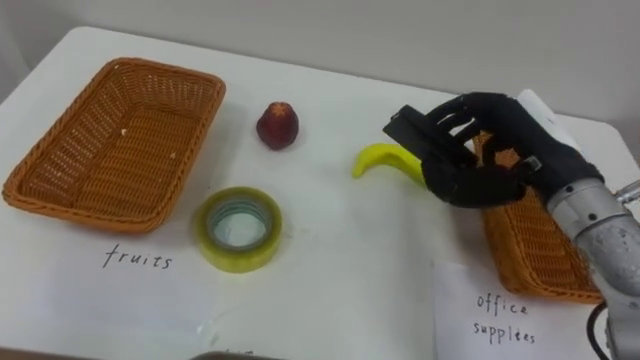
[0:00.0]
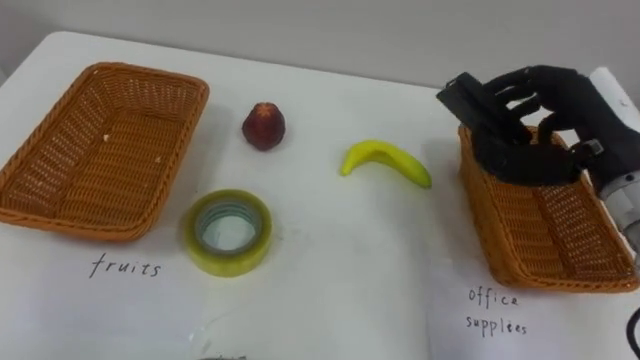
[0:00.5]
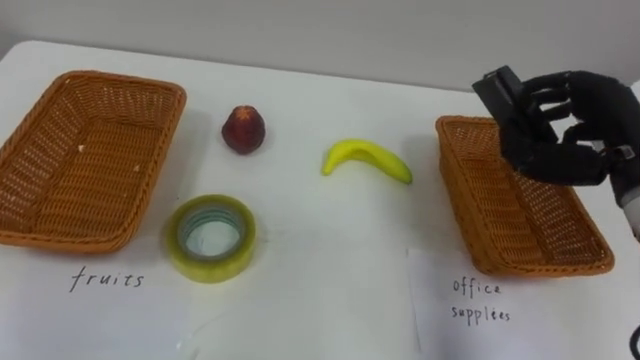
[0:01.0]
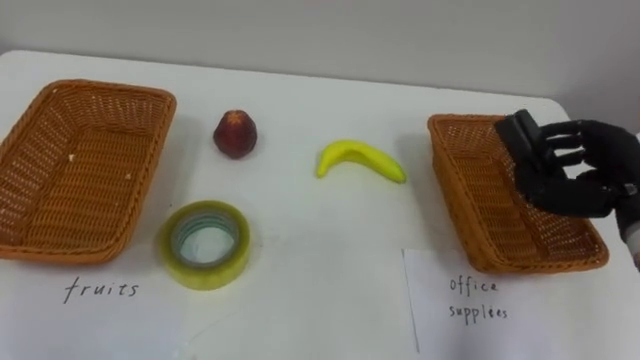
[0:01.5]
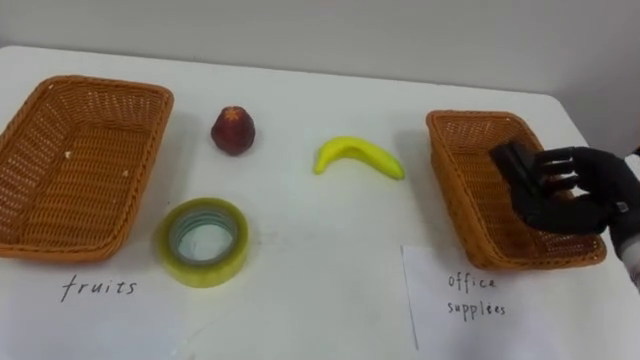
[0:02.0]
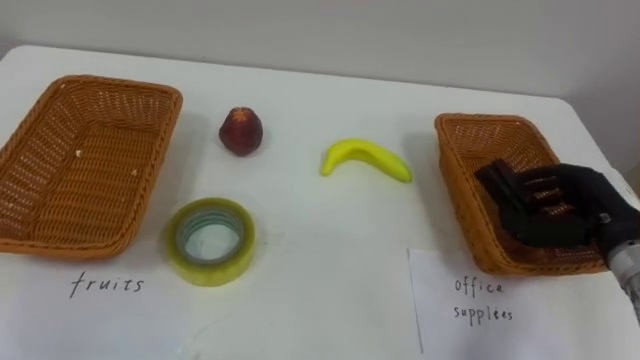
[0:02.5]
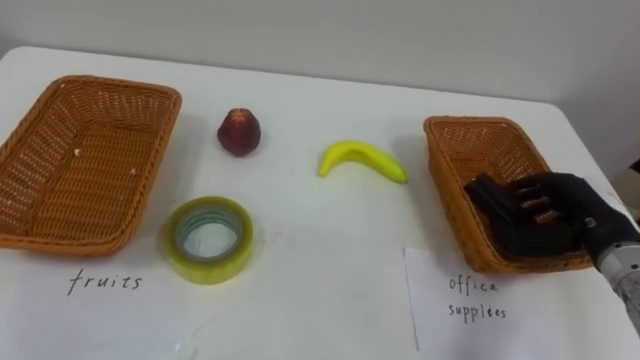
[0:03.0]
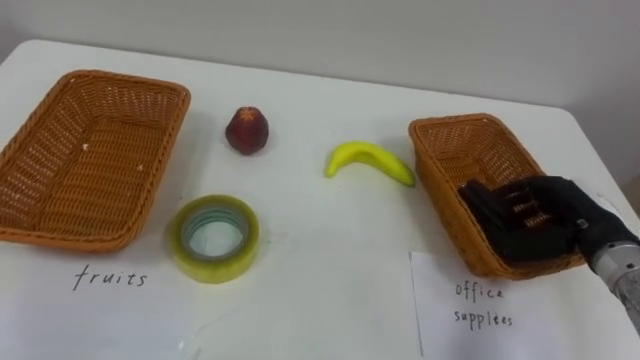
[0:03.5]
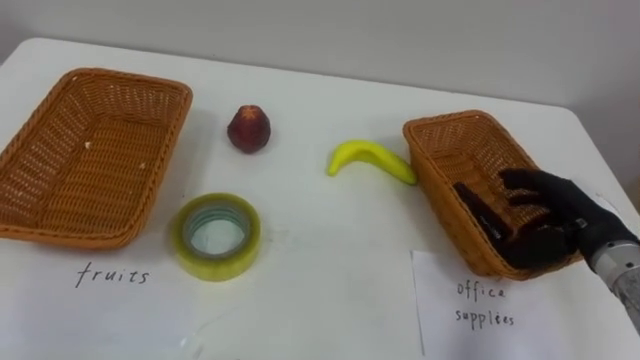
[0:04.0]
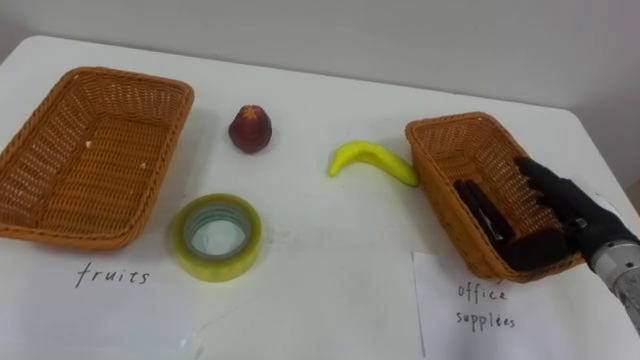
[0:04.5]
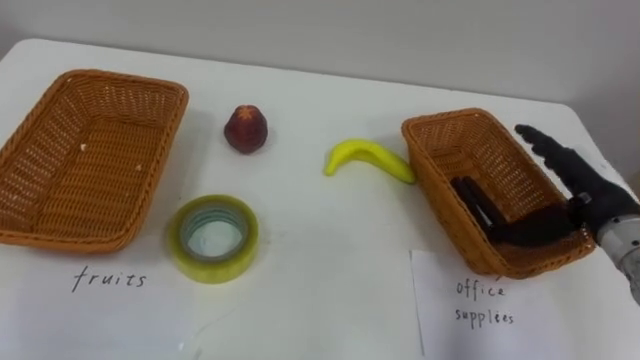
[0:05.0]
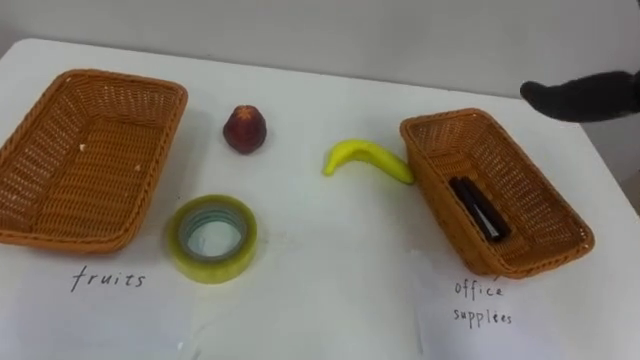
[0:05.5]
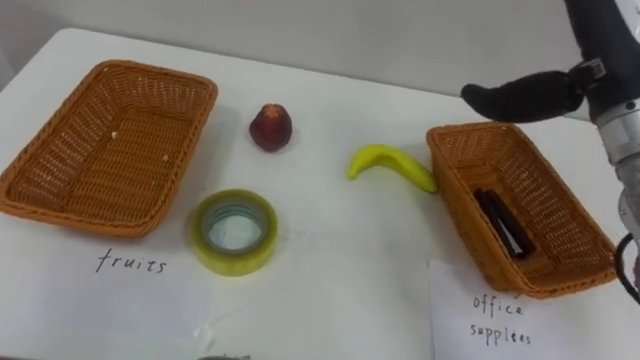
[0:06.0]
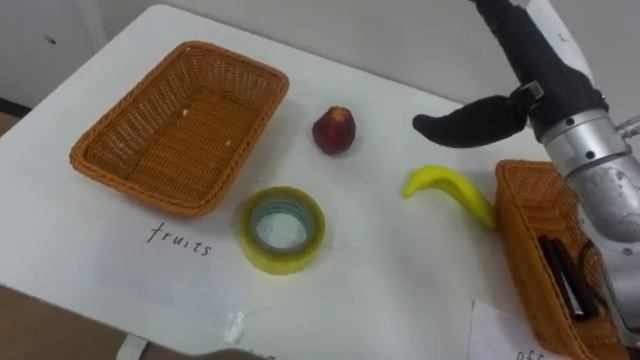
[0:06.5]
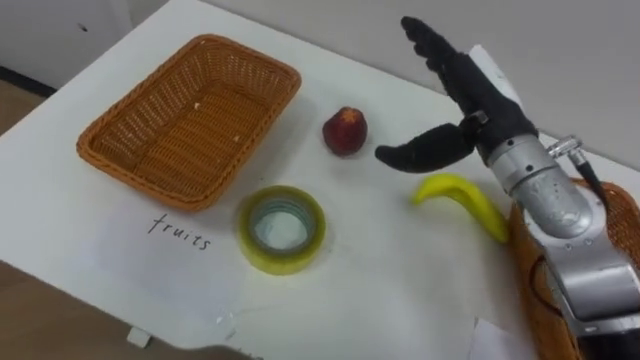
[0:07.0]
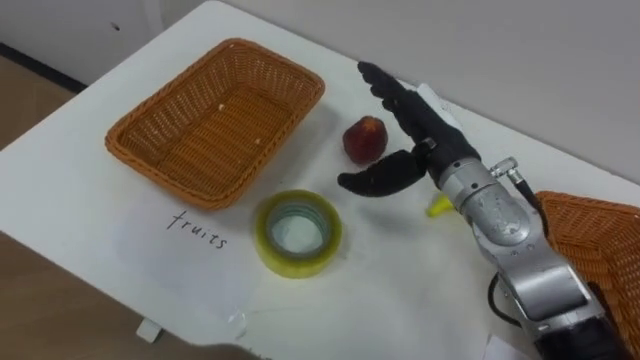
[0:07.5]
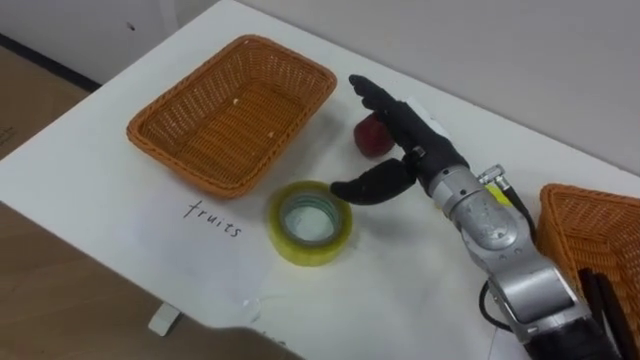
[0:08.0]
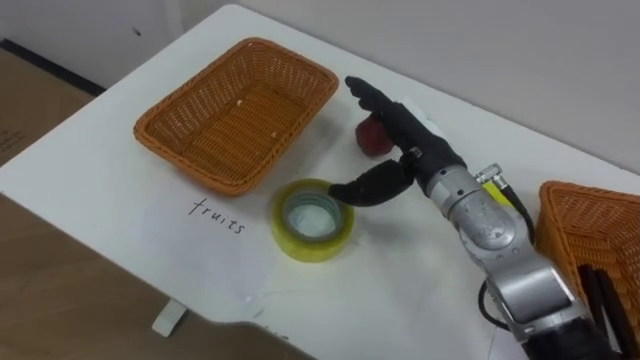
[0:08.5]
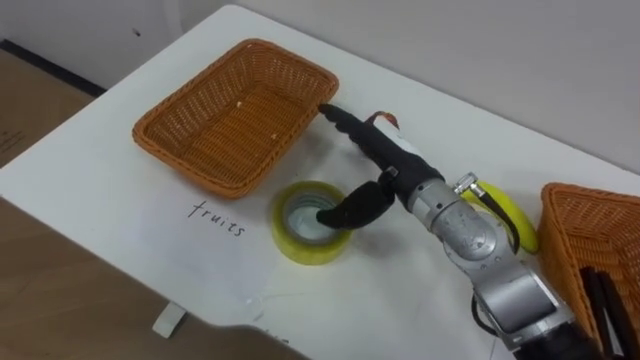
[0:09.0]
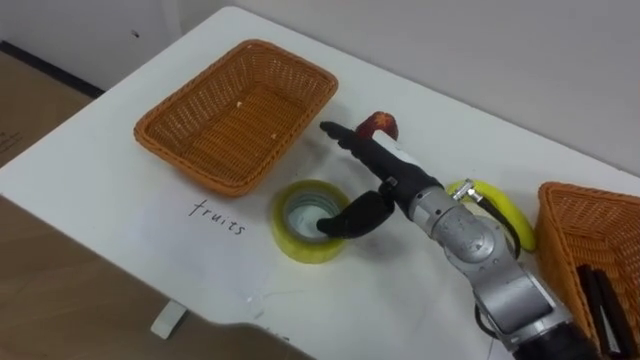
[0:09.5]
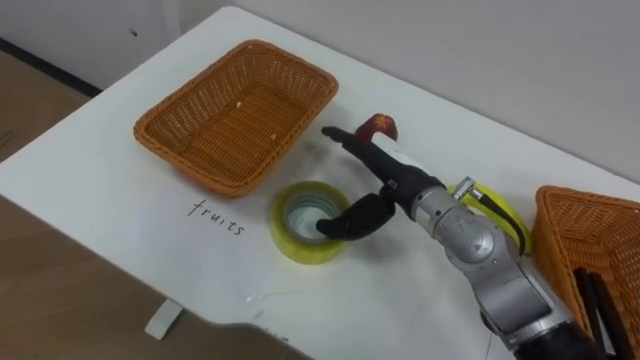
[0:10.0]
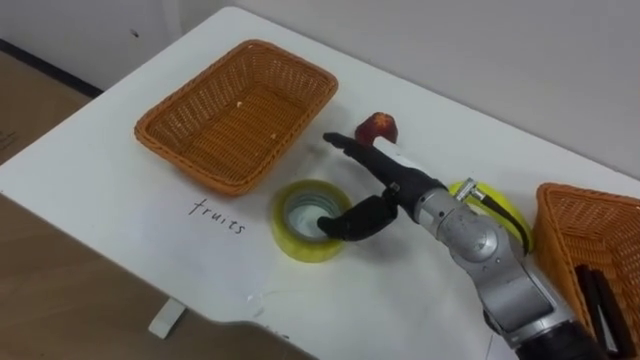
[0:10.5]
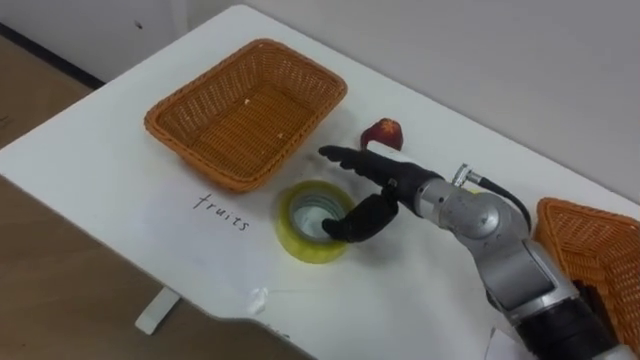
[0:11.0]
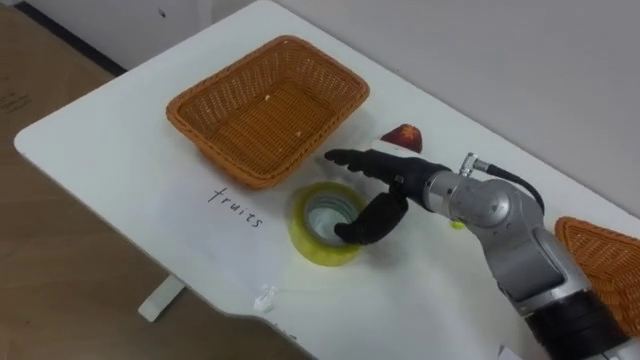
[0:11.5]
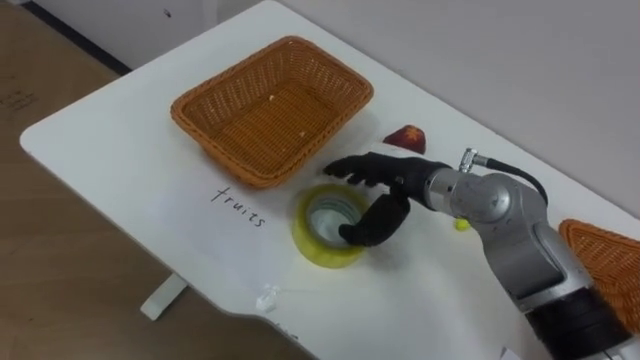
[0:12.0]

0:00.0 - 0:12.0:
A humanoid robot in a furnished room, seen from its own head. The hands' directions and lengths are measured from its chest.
Task of the whole recording: Separate the items on the table and place them into the two baskets.
0:00.0 - 0:02.0: The right hand shifts roughly 15 cm to the right and downward.
0:02.0 - 0:04.0: The right hand opens its fingers.
0:06.0 - 0:08.0: The right hand shifts about 20 cm downward and to the left.

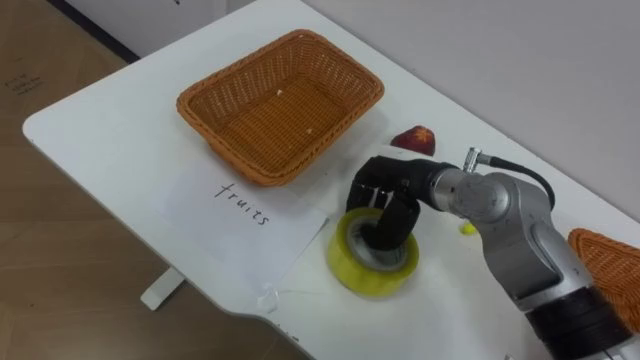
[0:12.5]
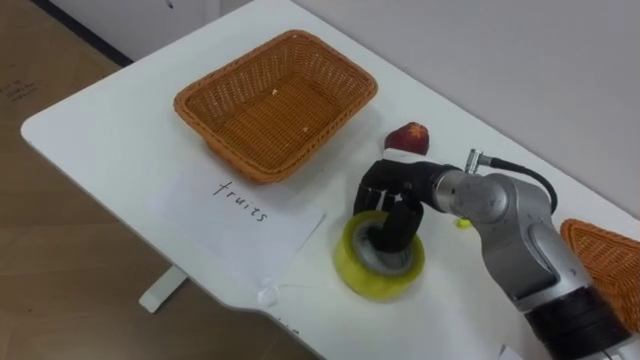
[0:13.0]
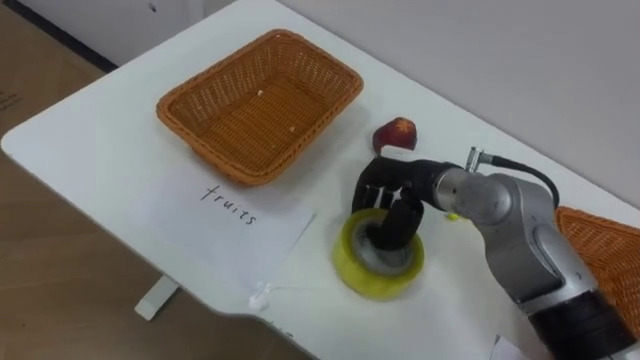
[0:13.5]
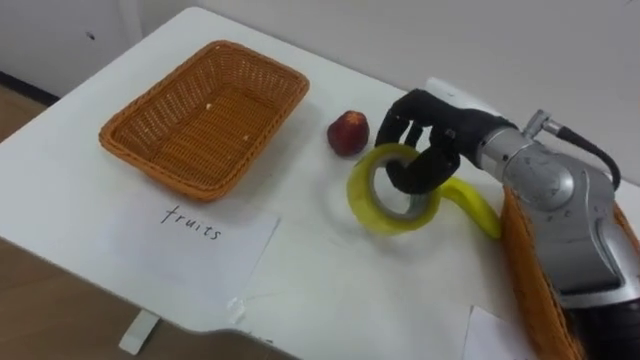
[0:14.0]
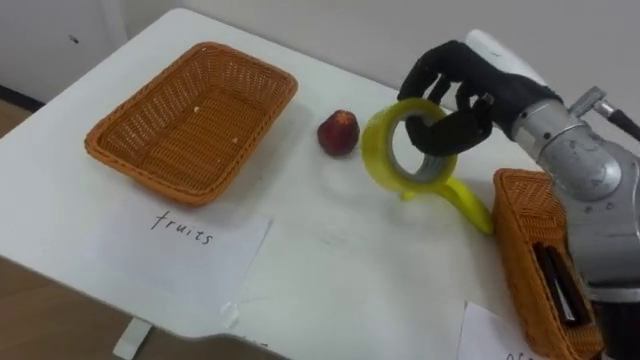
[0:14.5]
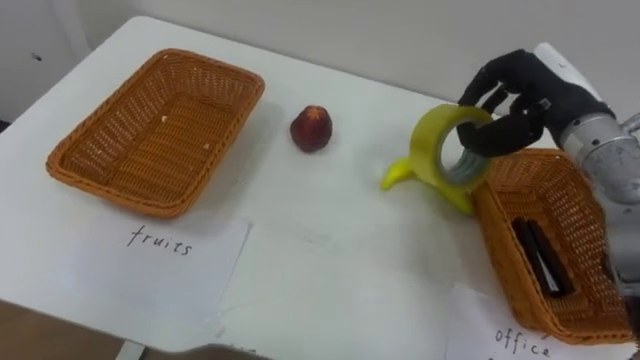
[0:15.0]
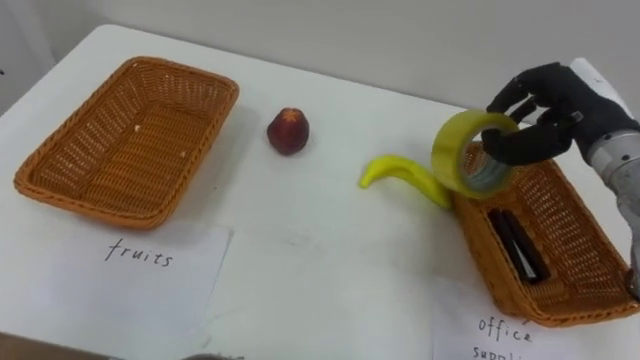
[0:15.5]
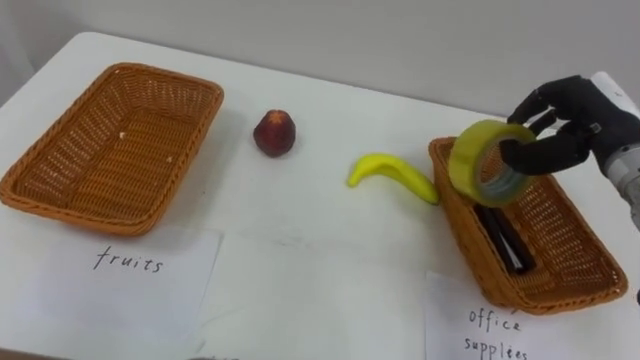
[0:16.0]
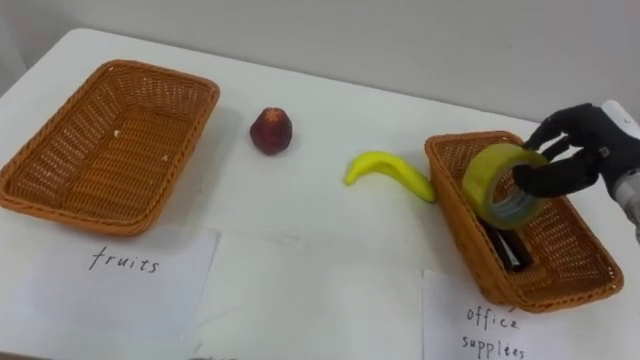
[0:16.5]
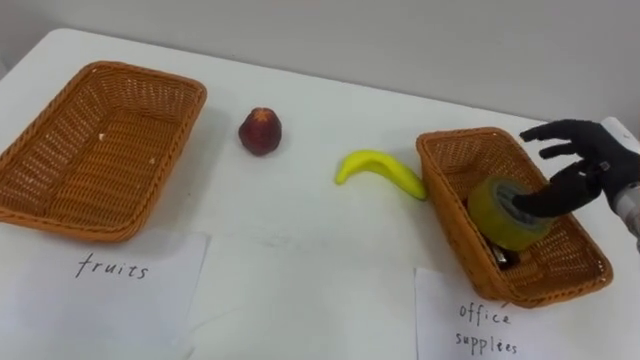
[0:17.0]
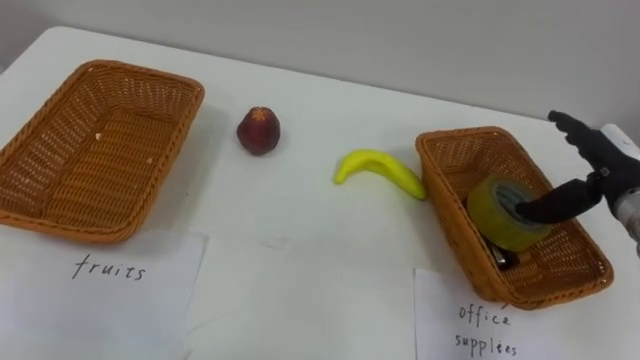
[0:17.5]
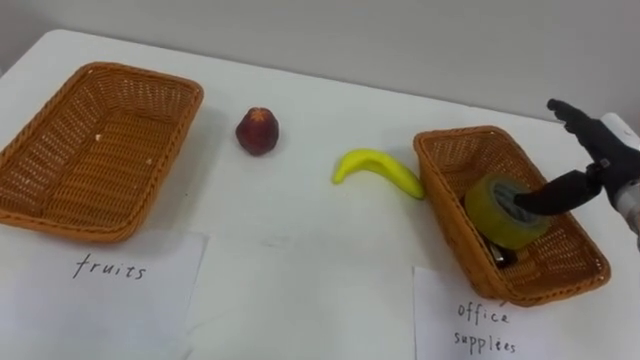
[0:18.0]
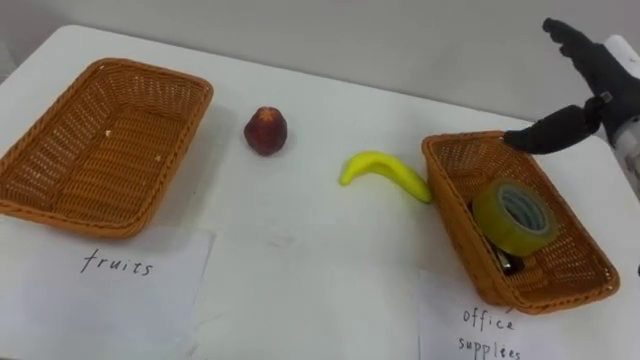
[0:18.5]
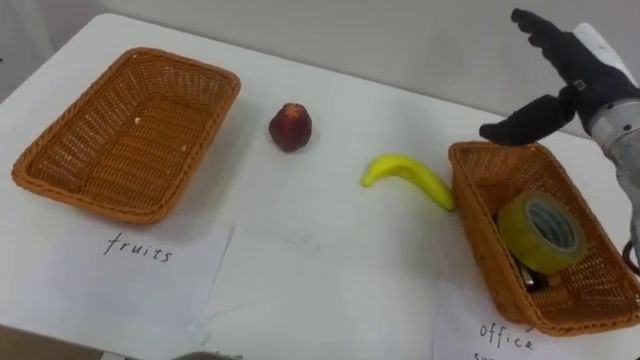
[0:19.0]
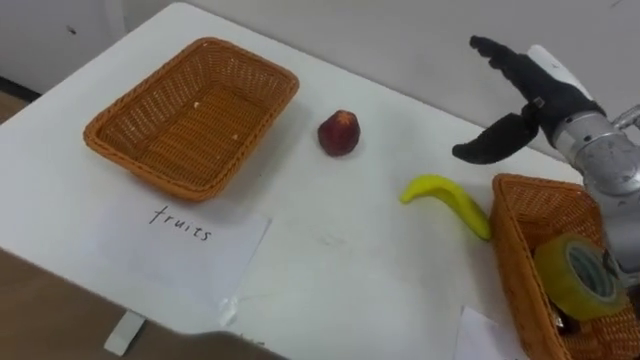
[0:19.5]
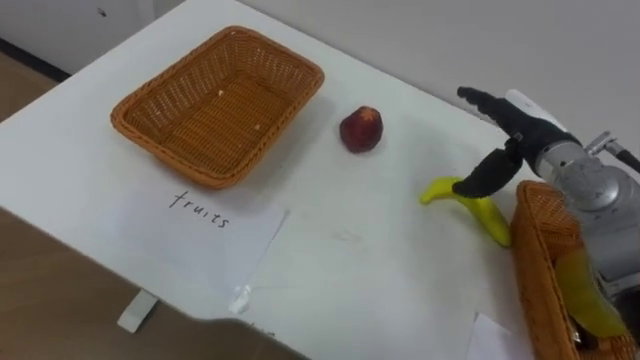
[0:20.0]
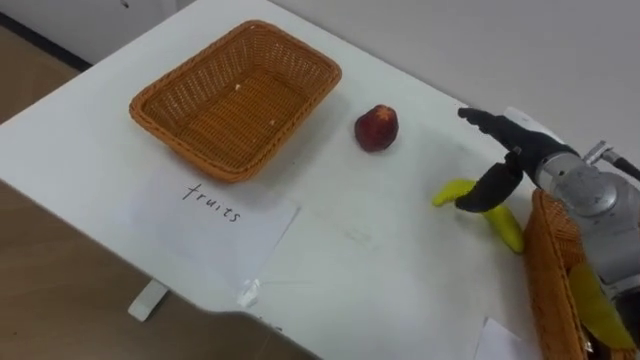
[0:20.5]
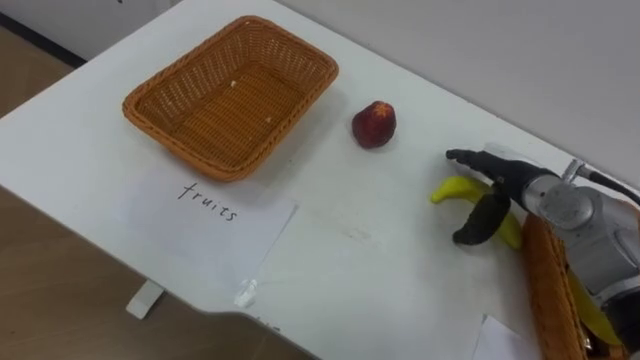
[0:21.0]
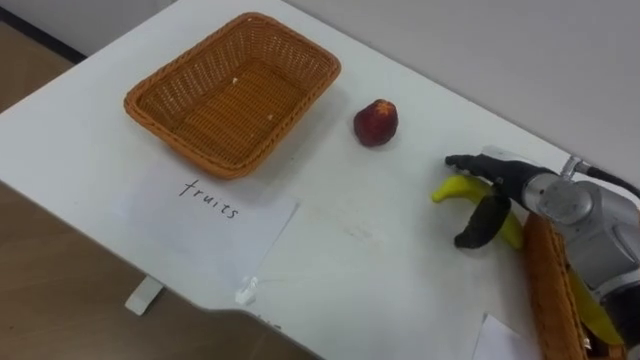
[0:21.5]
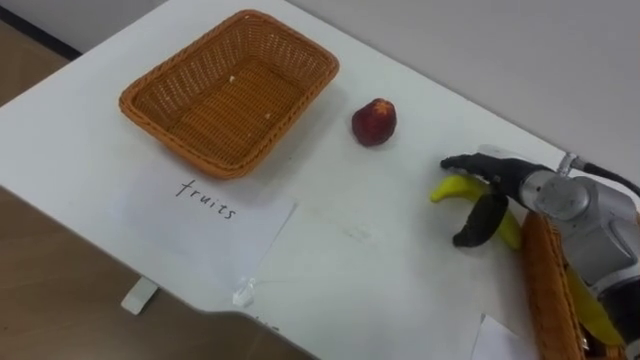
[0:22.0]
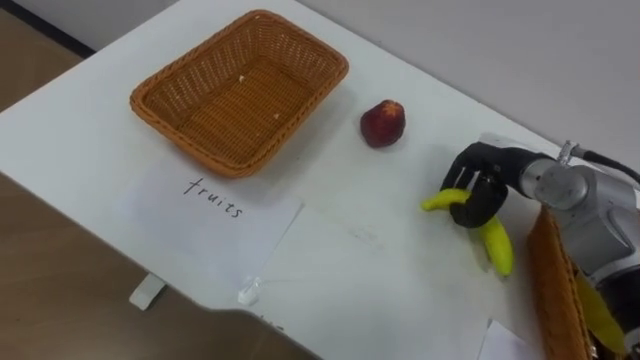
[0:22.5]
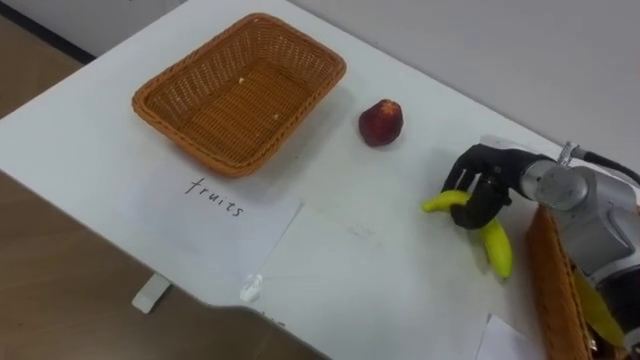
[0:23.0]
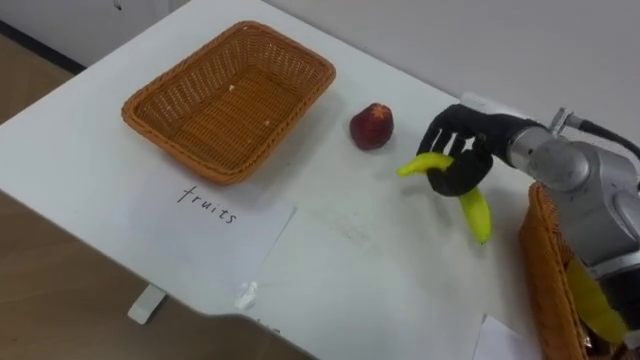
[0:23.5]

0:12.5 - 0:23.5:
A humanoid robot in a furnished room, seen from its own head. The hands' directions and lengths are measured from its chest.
Task of the whole recording: Separate the items on the table and place them into the two baskets.
0:12.5 - 0:14.5: The right hand moves upward and to the right, some 15 cm.
0:14.5 - 0:16.0: The right hand moves to the right and downward, about 15 cm.
0:16.0 - 0:18.0: The right hand ends up some 5 cm from where it was, and opens its fingers.
0:18.0 - 0:20.0: The right hand shifts some 10 cm to the left.
0:20.0 - 0:21.5: The right hand moves downward, approximately 5 cm.
0:21.5 - 0:23.5: The right hand moves upward, approximately 5 cm, and closes up.
